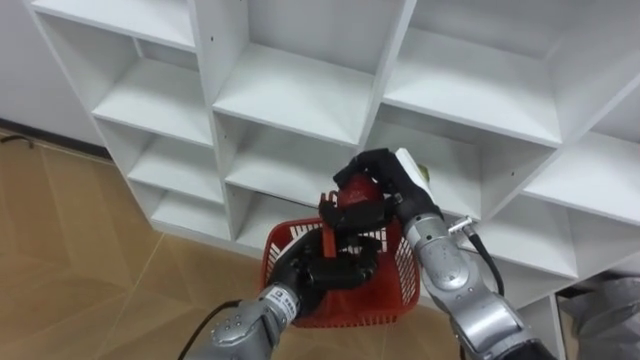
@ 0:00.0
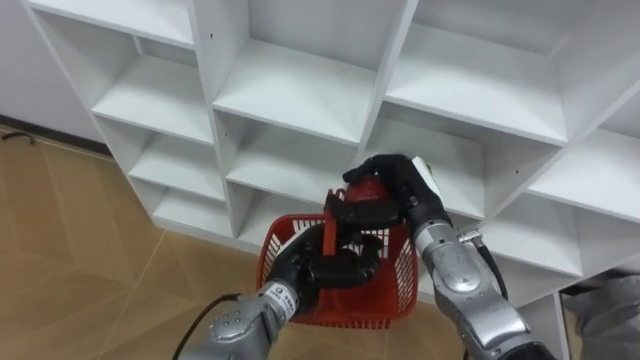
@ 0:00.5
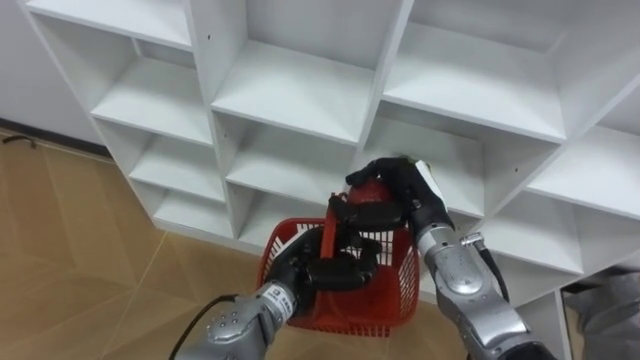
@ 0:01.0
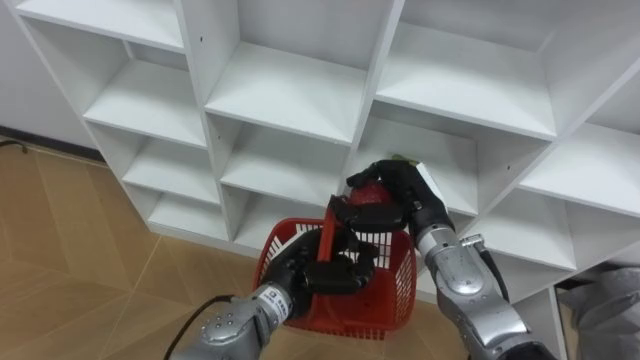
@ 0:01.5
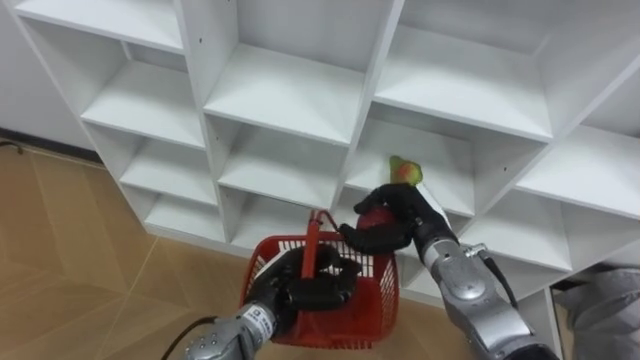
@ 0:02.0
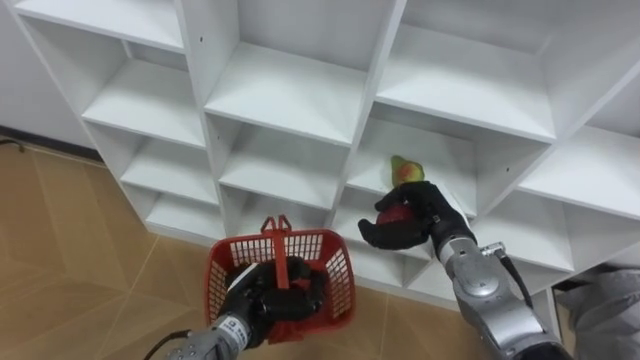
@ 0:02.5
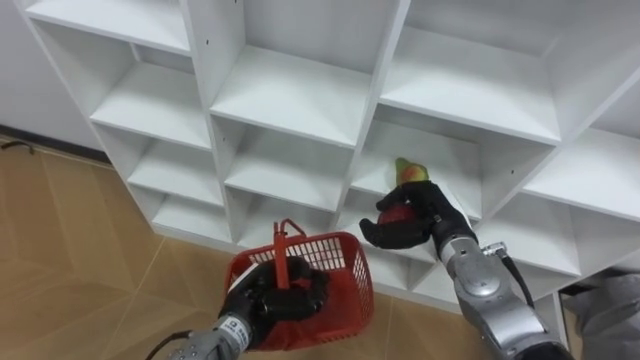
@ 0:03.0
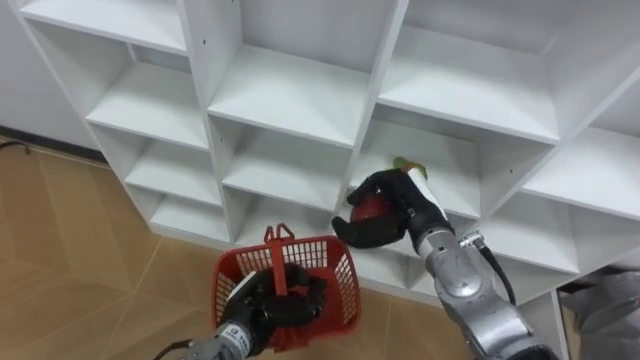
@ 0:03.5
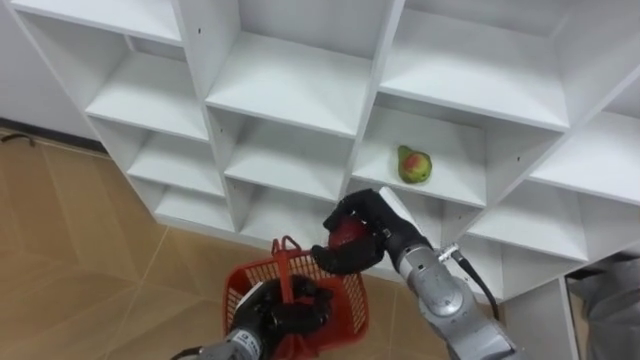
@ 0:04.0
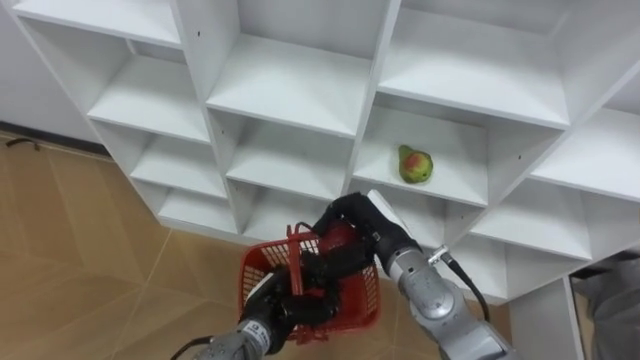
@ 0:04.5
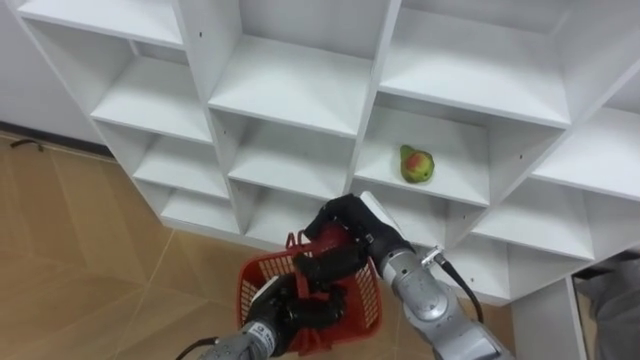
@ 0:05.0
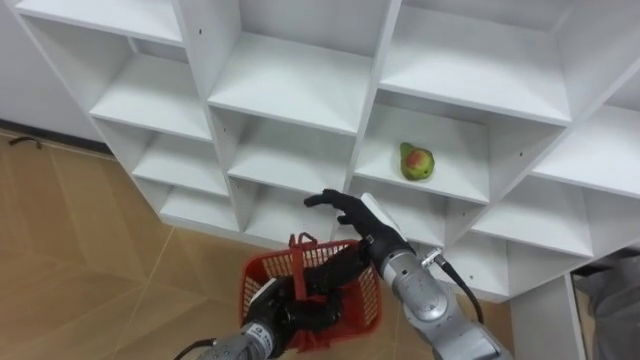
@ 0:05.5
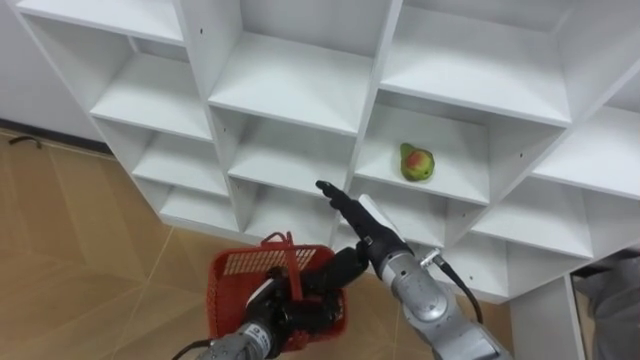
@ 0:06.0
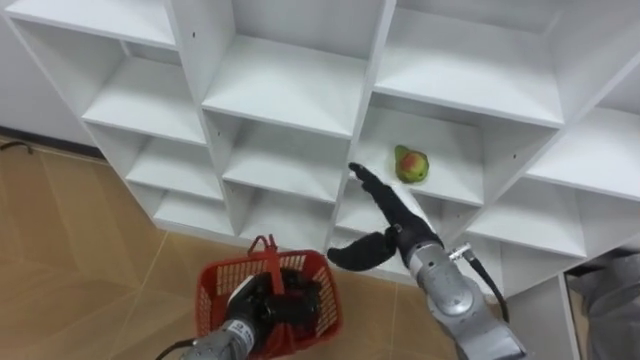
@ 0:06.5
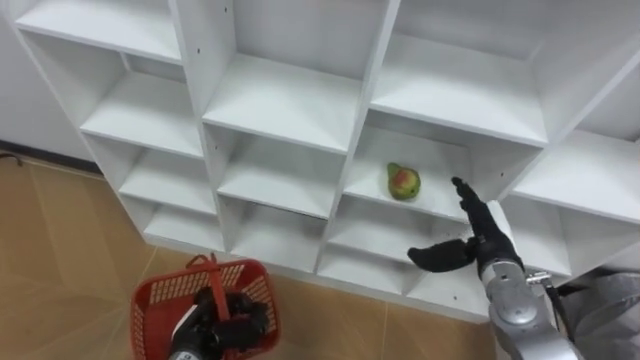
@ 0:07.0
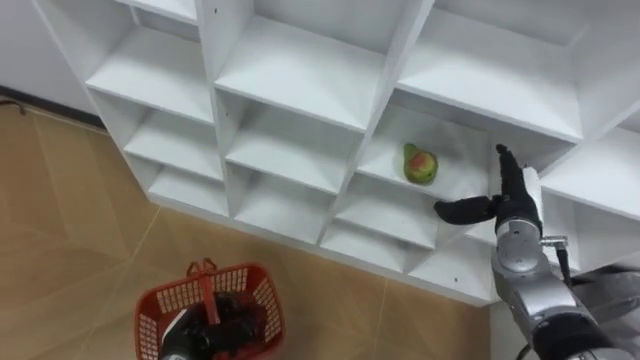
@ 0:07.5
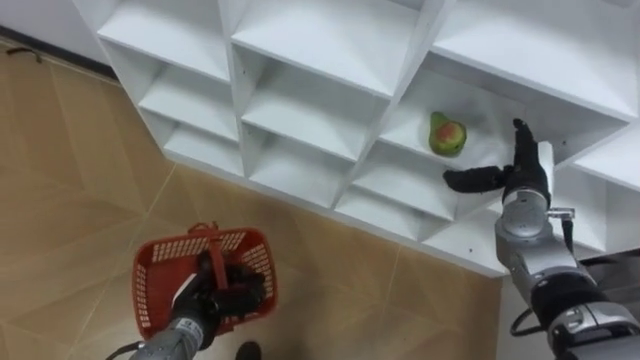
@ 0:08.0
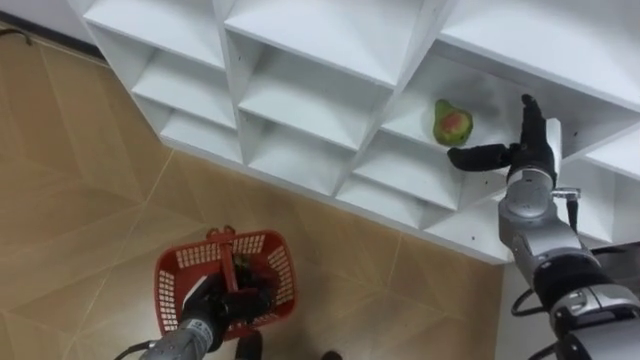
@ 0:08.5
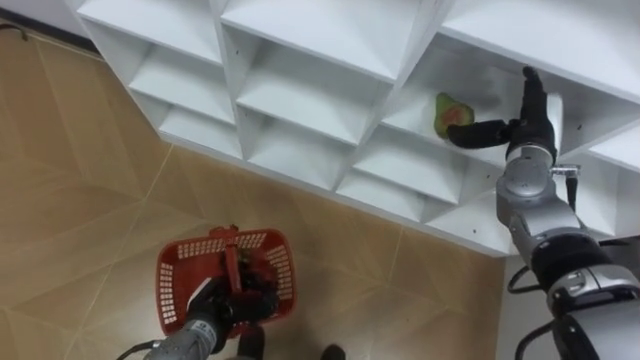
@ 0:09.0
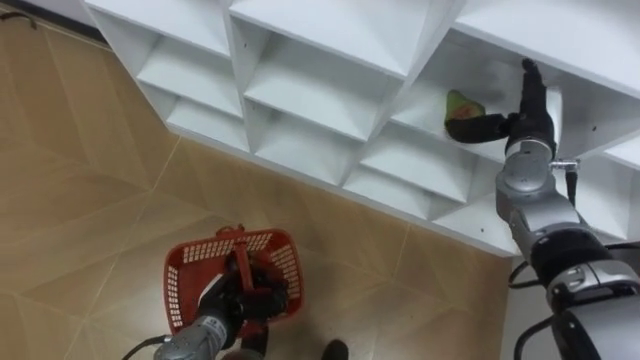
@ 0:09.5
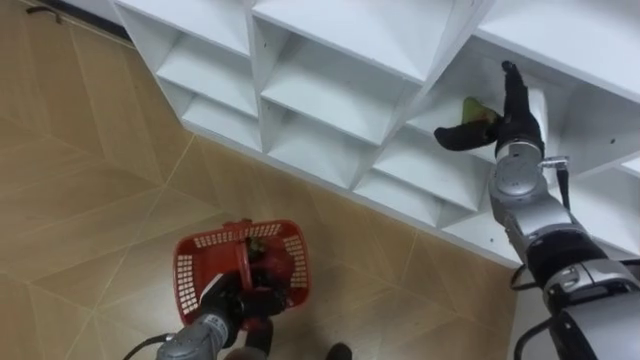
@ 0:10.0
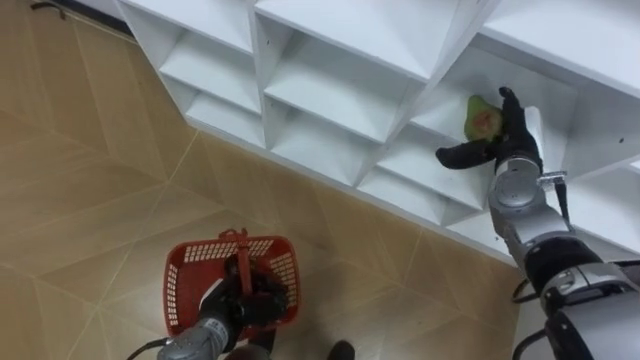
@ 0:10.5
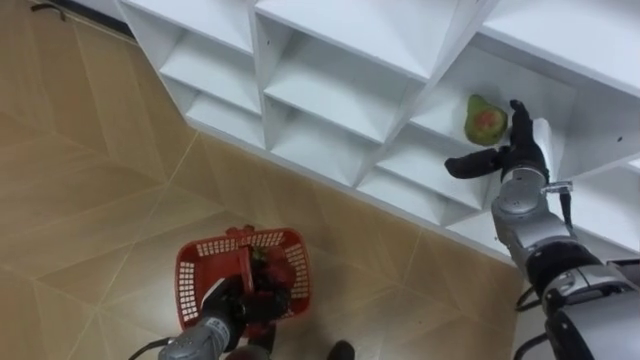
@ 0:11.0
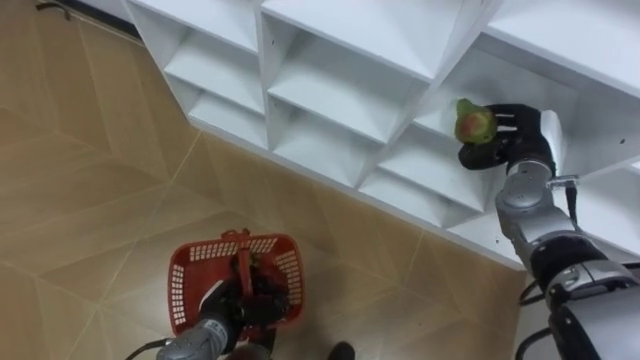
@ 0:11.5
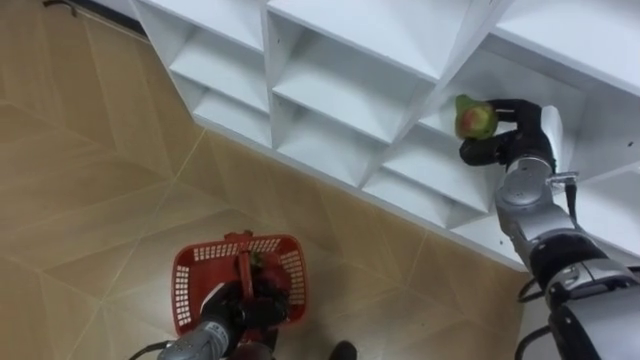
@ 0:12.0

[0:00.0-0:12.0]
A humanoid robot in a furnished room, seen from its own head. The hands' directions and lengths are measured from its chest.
Task of the whole recording: Hold the basket and collect the fruits from 3 different cells of the closet into it.
0:00.0 to 0:02.0: The right hand is displaced downward by about 5 cm.
0:02.0 to 0:04.0: The left hand shifts some 5 cm downward.
0:04.0 to 0:06.0: The right hand opens its fingers.
0:06.0 to 0:08.0: The left hand moves to the left, roughly 10 cm. Meanwhile the right hand goes roughly 20 cm to the right.
0:08.0 to 0:10.0: The right hand shifts approximately 5 cm upward.
0:10.0 to 0:12.0: The right hand closes up.

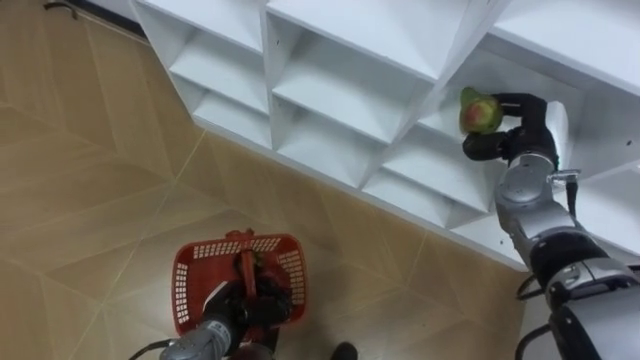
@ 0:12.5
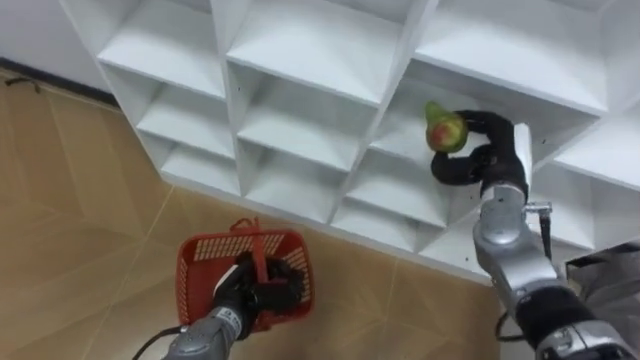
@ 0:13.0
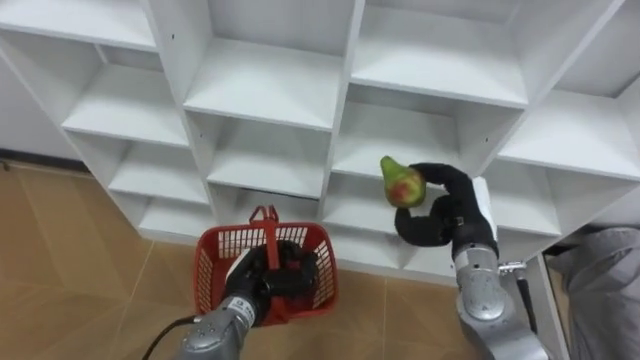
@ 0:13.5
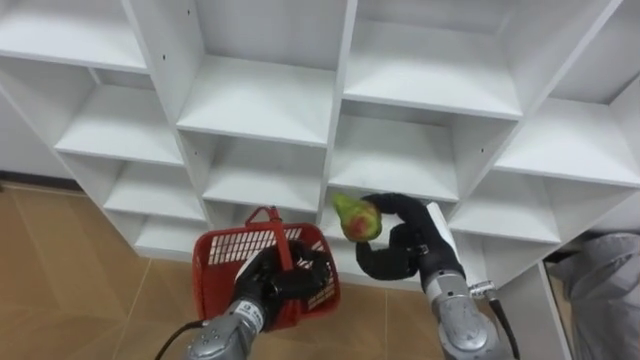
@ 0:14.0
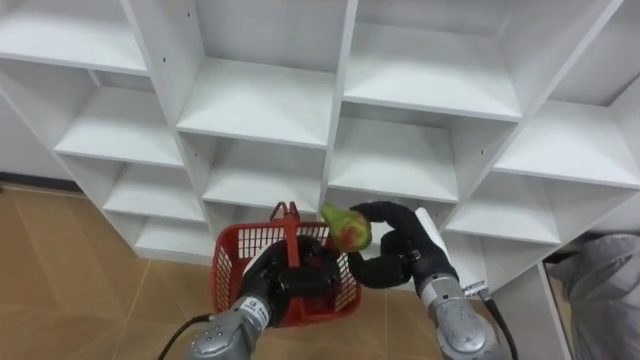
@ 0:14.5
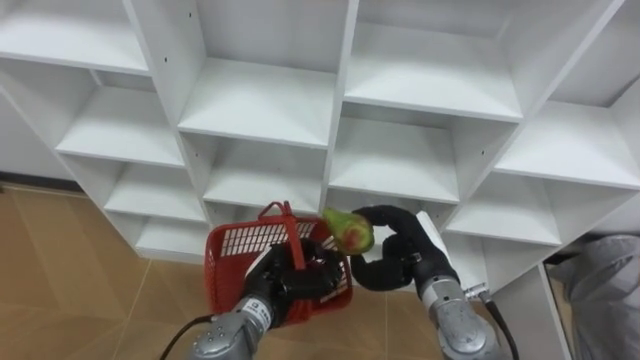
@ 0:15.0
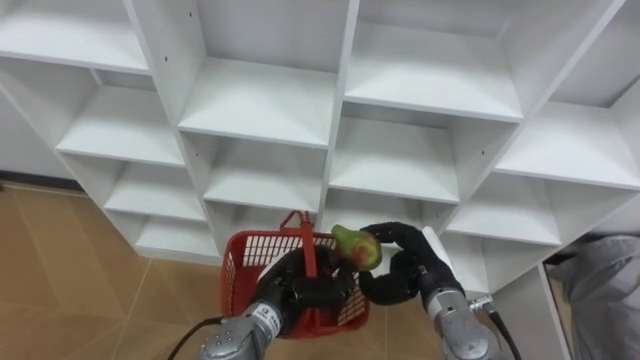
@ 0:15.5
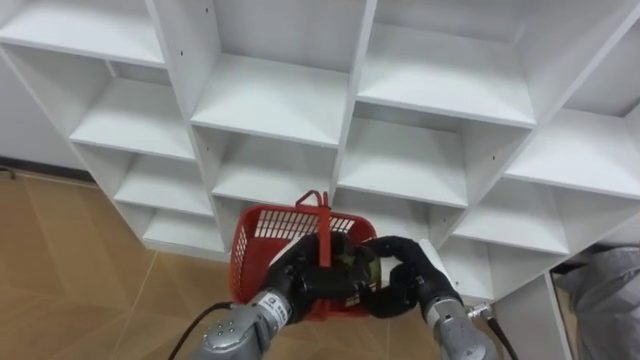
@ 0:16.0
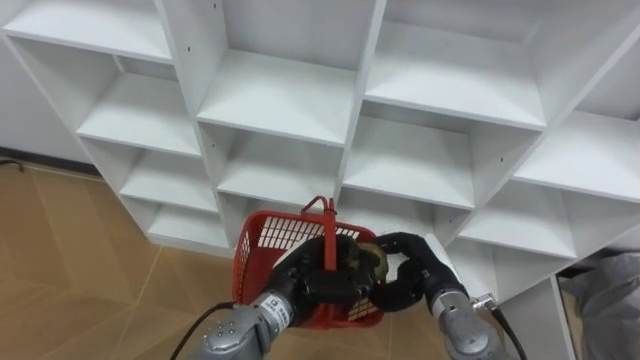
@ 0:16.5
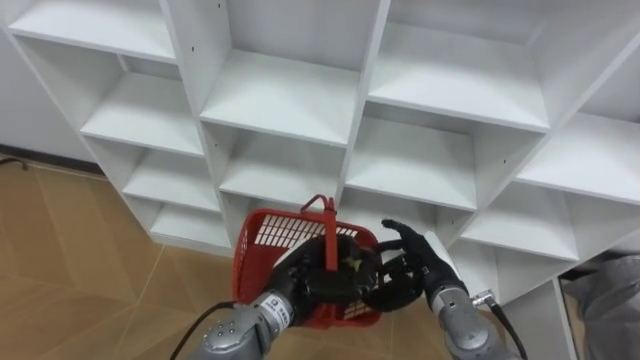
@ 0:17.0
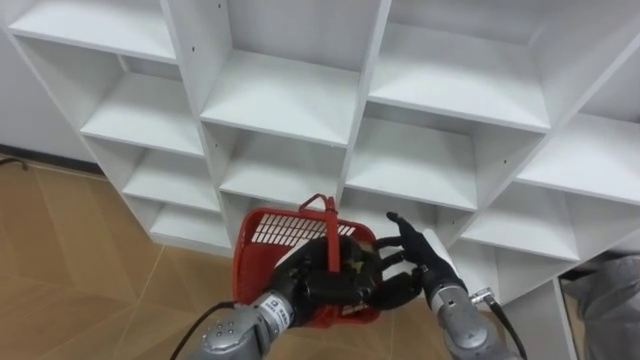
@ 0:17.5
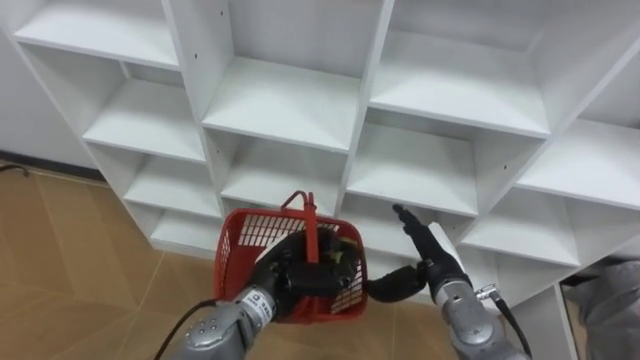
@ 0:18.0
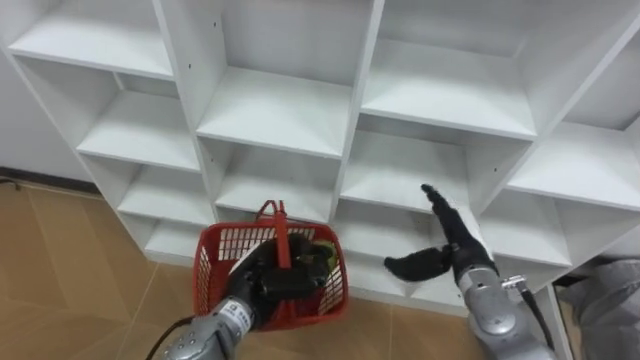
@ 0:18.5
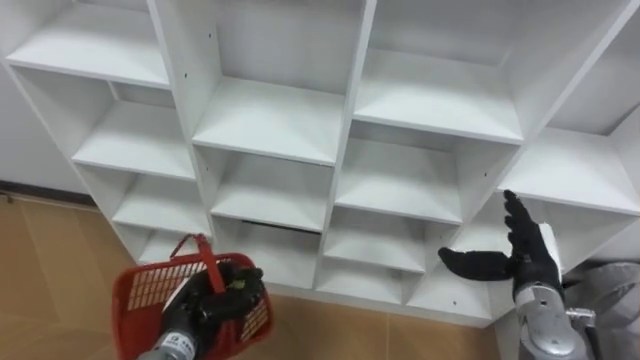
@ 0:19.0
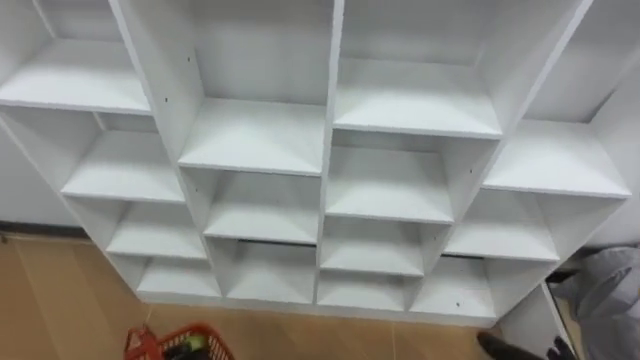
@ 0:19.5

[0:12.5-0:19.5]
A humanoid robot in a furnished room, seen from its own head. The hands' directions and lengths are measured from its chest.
Task of the whole recording: Hold the basket and collect the fruits from 3 different cells of the closet into it.
0:12.5 to 0:14.5: The right hand is displaced to the left, backward and downward by some 20 cm; the left hand shifts some 10 cm upward and to the right.
0:14.5 to 0:16.0: The right hand changes place by roughly 5 cm.
0:16.0 to 0:17.5: The right hand opens.

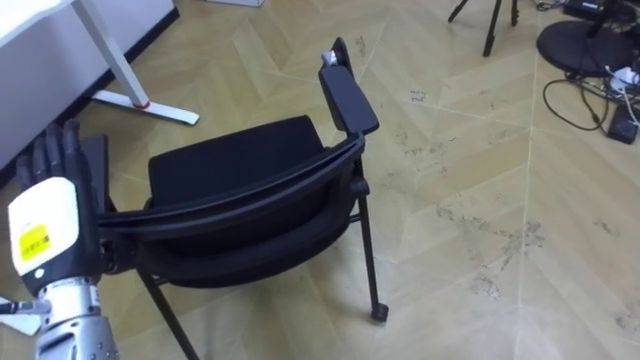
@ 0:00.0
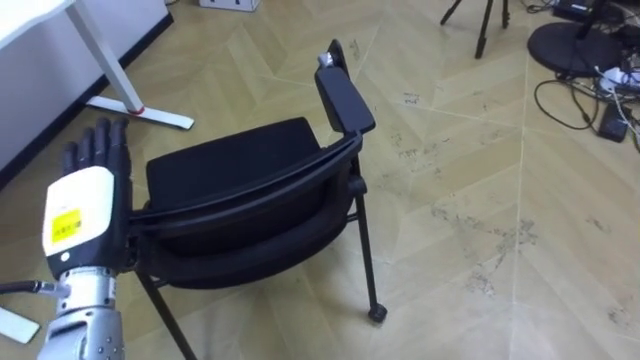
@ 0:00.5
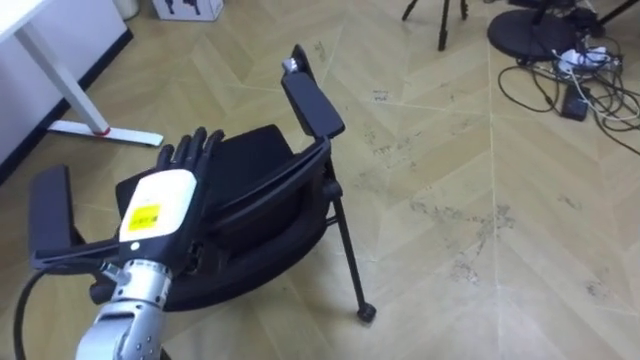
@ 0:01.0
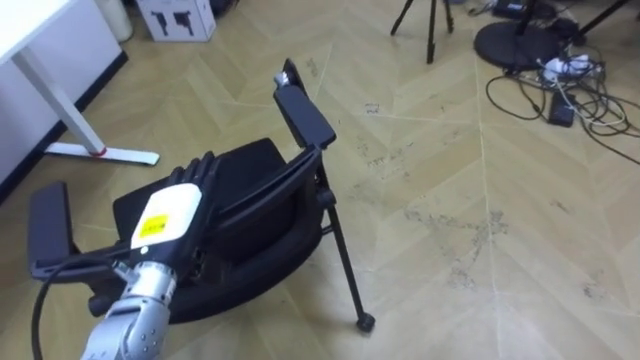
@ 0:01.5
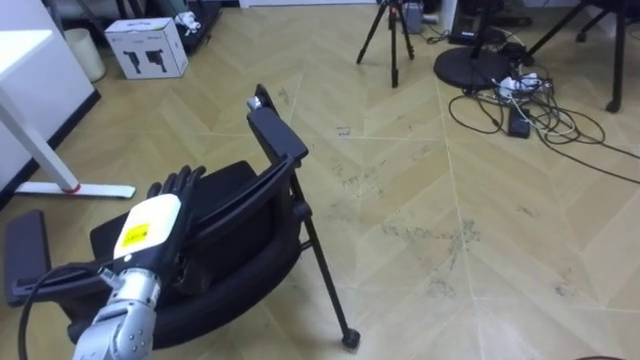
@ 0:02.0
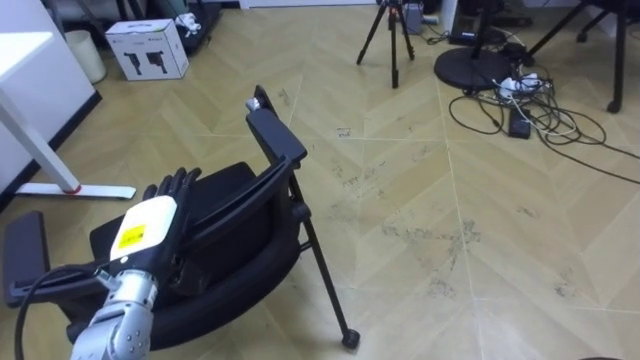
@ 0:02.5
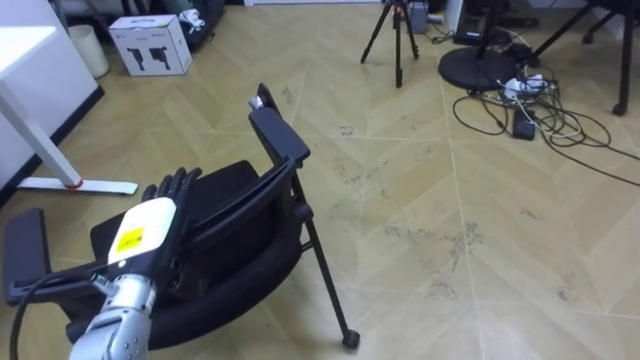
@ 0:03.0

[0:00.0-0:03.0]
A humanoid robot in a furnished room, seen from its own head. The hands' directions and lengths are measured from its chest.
Task of the whole recording: Push the chair under the table.
0:00.0 to 0:01.5: The left hand goes roughly 10 cm to the right and downward.
